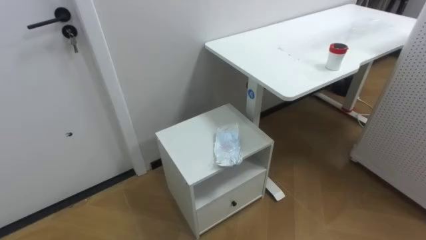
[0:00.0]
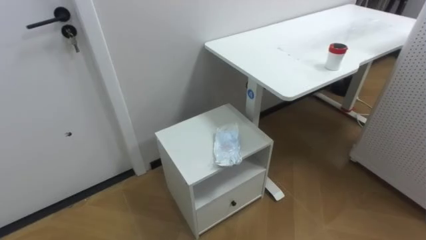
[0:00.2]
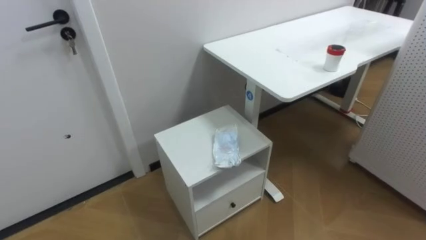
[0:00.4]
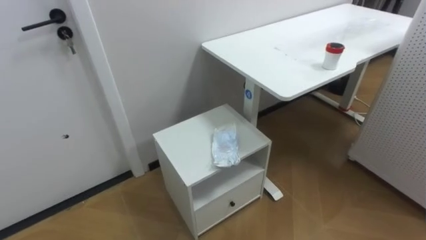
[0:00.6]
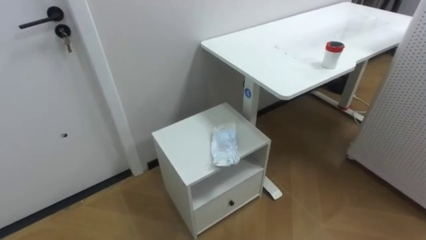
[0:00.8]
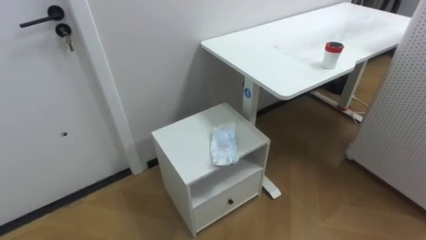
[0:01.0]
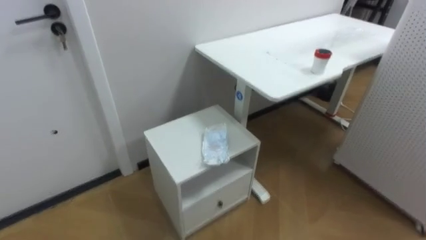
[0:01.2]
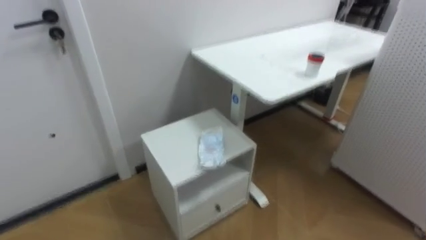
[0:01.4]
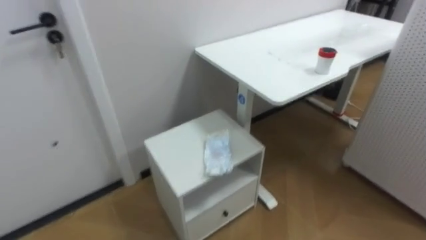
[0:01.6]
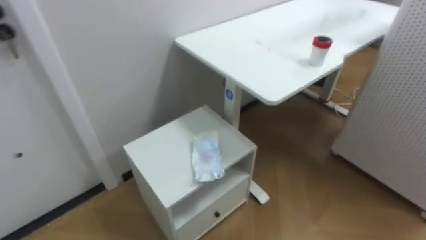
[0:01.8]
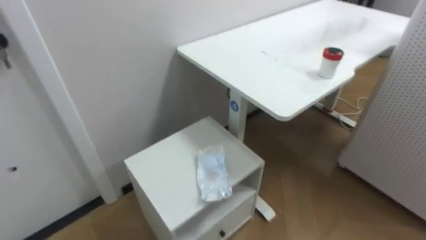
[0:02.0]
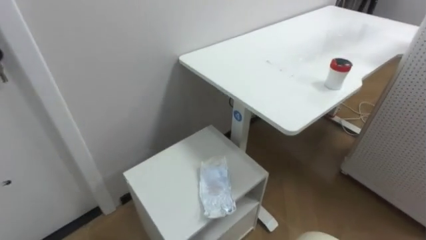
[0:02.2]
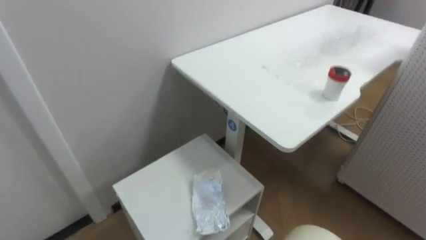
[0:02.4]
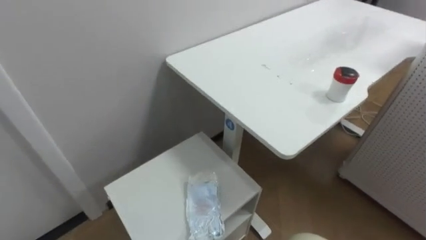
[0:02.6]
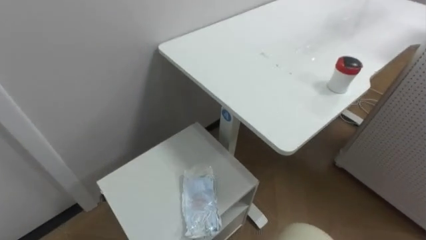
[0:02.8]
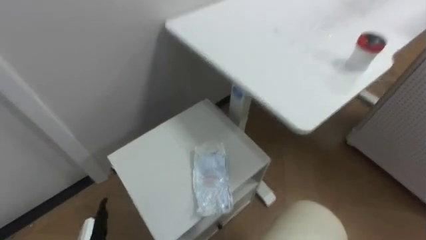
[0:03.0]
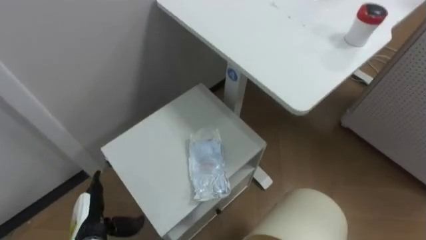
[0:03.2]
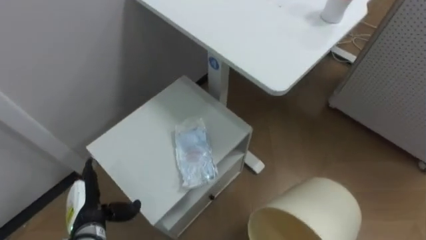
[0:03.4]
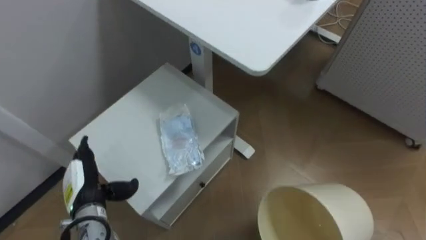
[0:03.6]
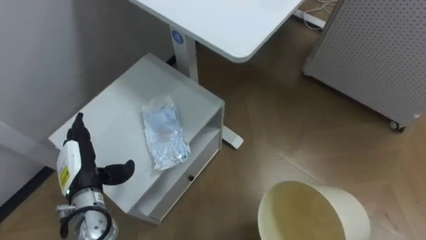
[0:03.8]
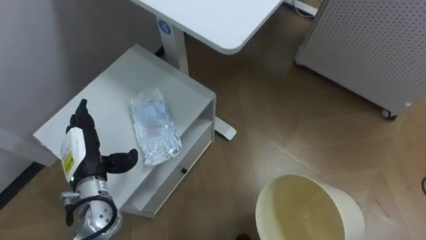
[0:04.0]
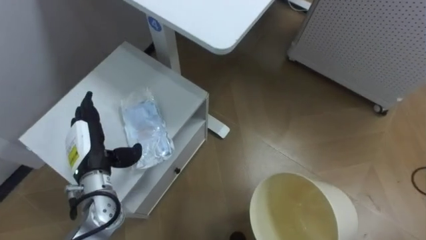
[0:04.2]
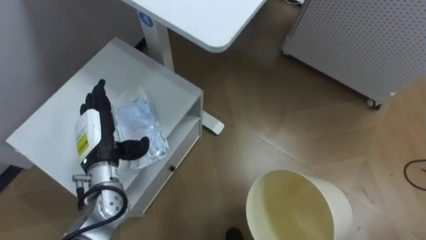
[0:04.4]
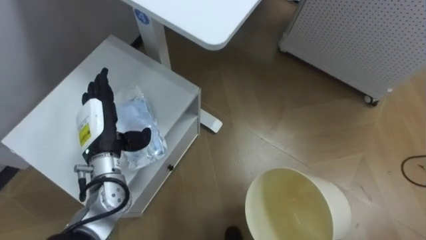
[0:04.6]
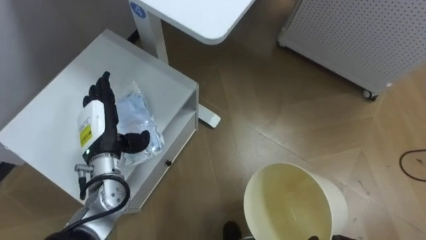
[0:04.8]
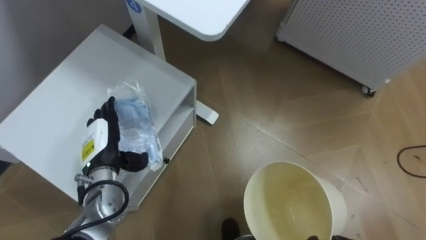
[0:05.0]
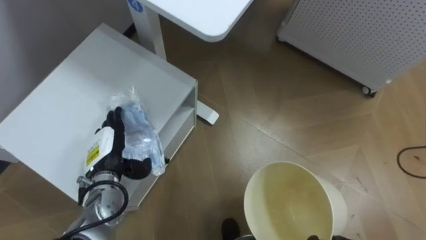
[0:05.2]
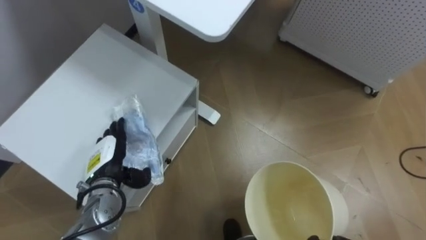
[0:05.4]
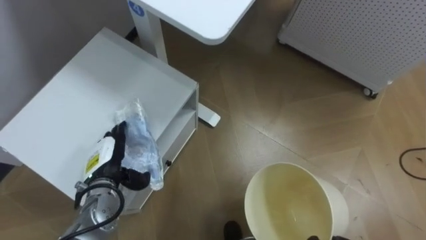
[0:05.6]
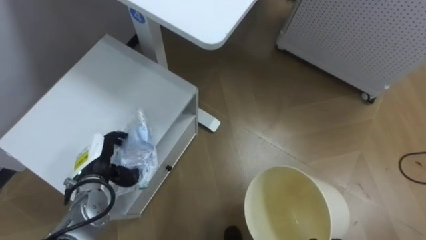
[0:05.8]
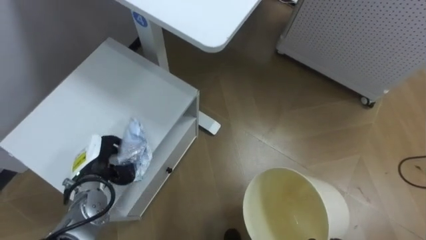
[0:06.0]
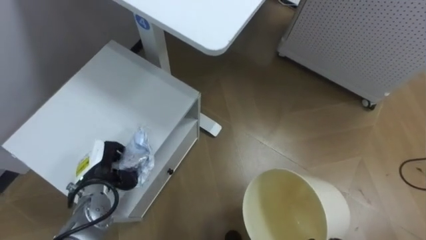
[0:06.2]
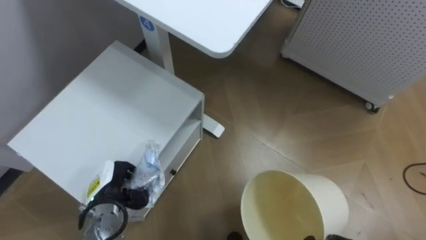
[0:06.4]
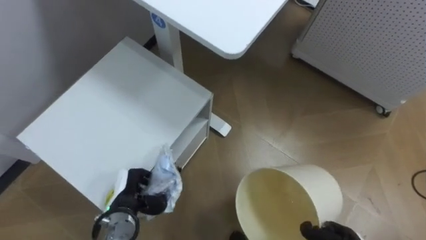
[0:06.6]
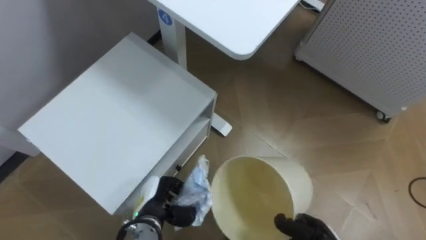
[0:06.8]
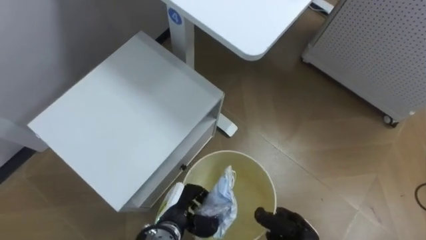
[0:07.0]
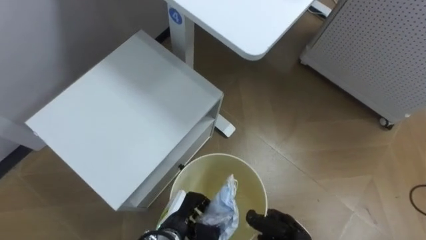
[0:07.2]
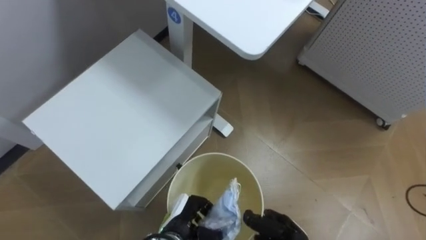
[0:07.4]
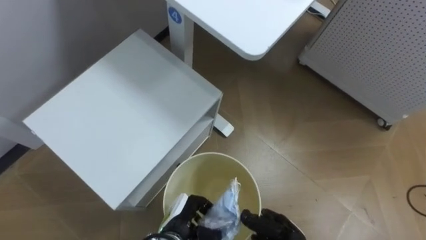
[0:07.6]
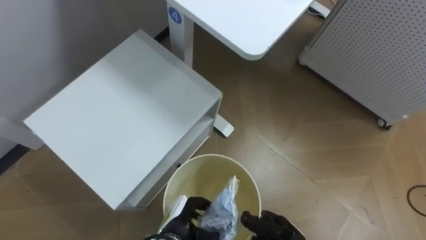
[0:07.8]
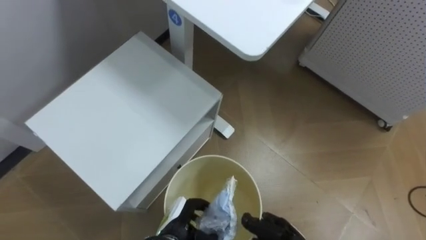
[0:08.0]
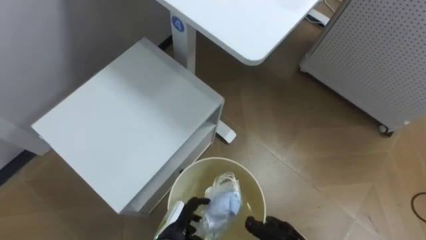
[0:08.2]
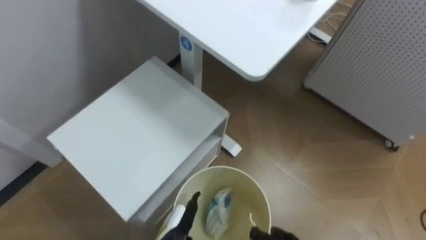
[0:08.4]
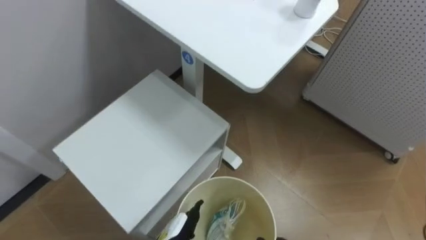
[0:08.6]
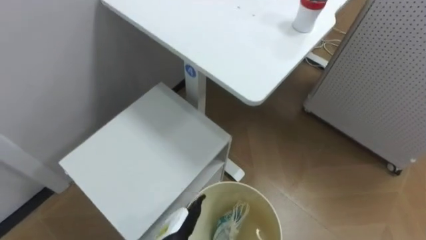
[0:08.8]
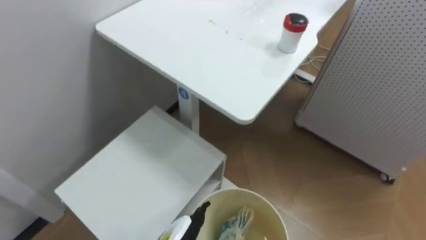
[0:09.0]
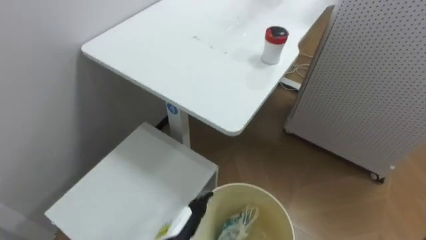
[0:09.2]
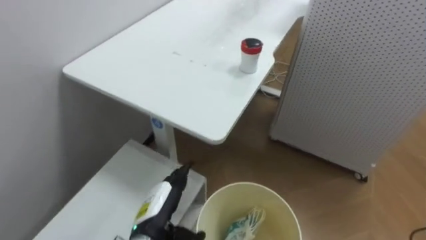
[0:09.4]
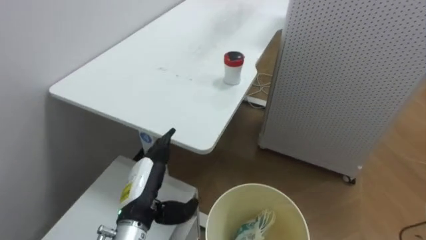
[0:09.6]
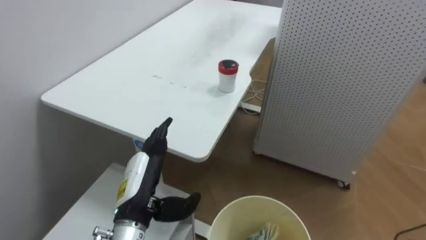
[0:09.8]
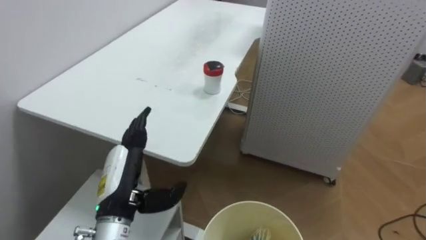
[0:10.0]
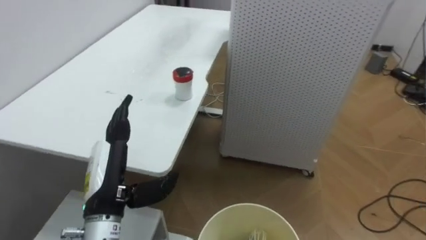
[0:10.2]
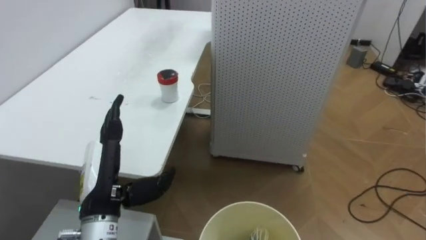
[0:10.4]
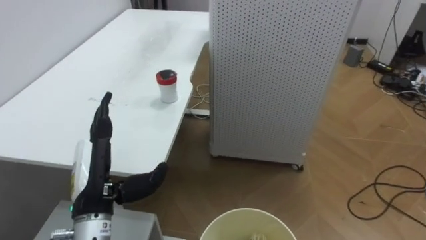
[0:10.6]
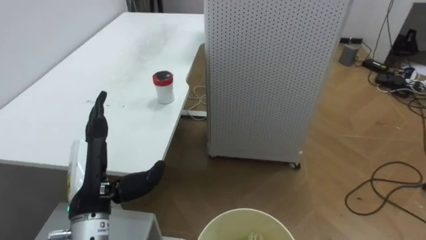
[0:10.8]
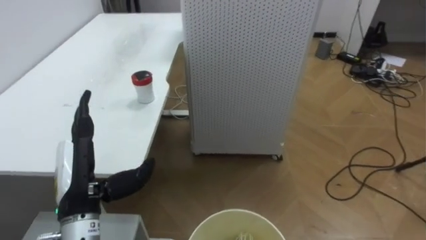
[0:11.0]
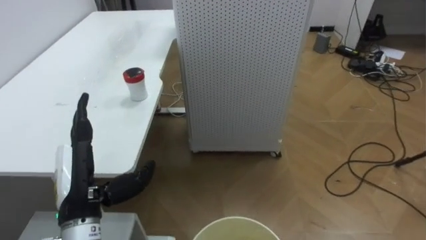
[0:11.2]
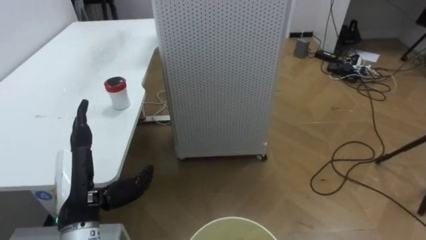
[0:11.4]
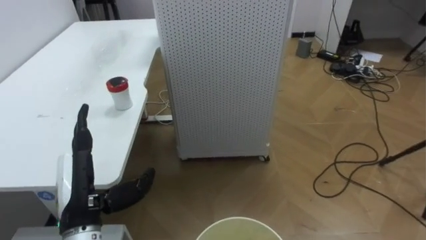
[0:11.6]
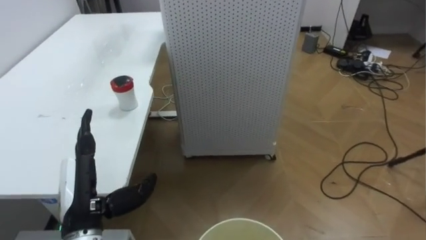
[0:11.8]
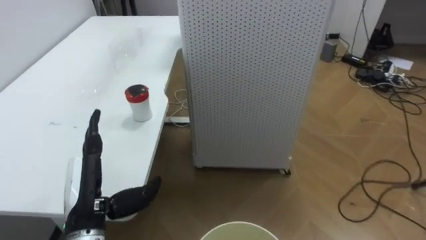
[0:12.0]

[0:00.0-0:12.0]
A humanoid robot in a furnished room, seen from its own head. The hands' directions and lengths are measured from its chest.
Task of the whole recording: Pick up the light blue package, the candy box, and the dark blue package separately, and put them into the trash can held in your right hand.
0:04.4 to 0:06.0: The left hand travels downward by approximately 5 cm, and closes up.
0:06.0 to 0:07.6: The left hand is displaced to the right, downward and backward by some 20 cm.
0:07.6 to 0:09.0: The left hand opens its fingers.
0:09.0 to 0:10.4: The robot turns to its right by about 30 degrees. The left hand heads upward and to the left, covering roughly 20 cm.

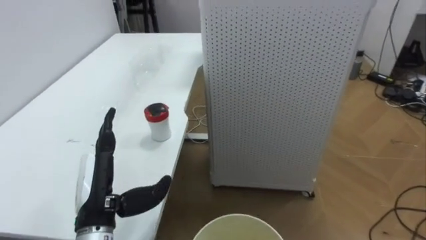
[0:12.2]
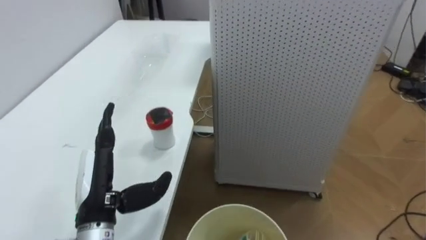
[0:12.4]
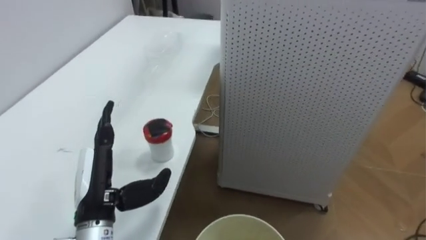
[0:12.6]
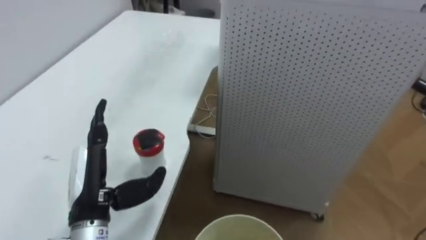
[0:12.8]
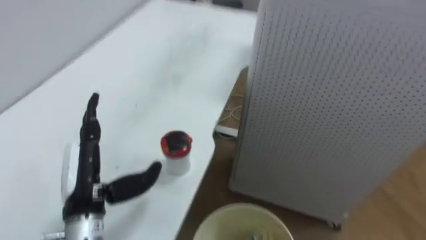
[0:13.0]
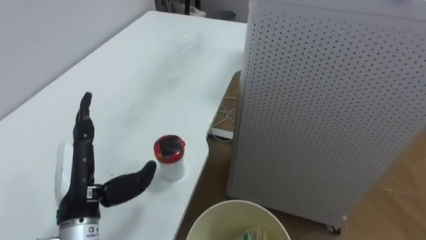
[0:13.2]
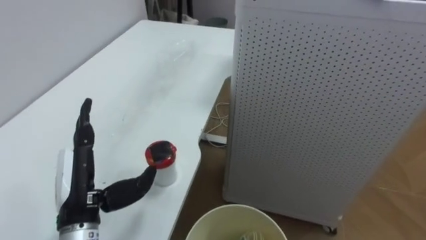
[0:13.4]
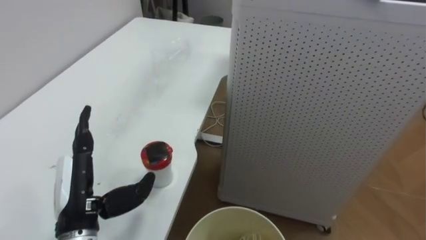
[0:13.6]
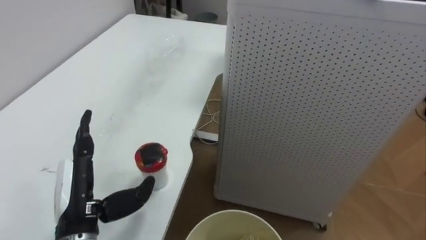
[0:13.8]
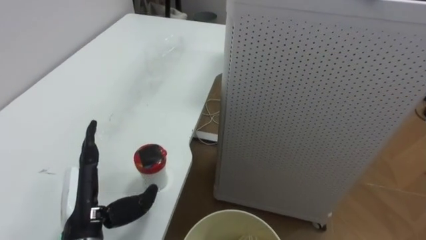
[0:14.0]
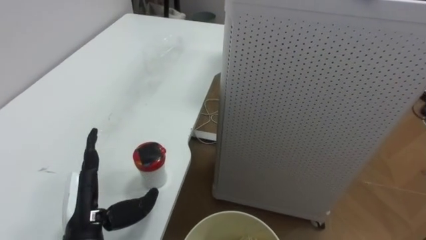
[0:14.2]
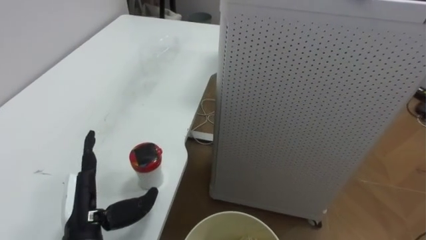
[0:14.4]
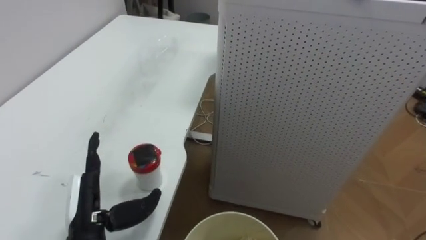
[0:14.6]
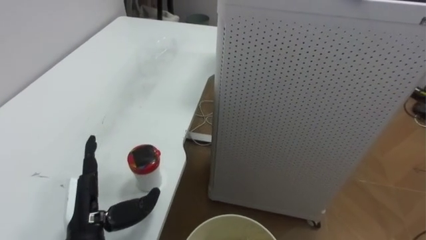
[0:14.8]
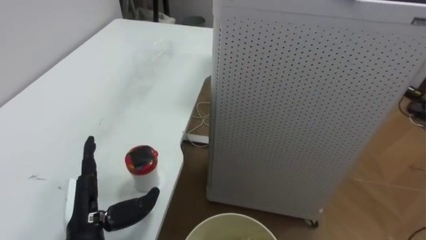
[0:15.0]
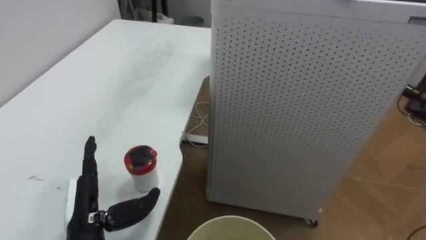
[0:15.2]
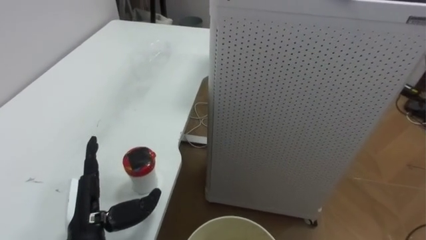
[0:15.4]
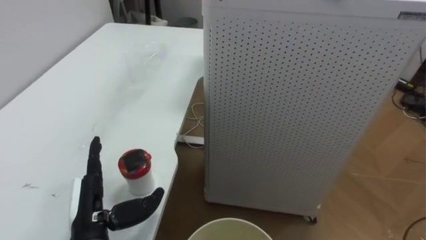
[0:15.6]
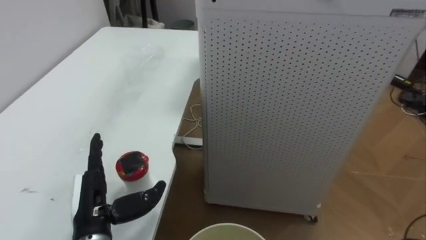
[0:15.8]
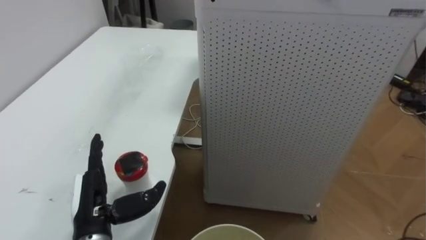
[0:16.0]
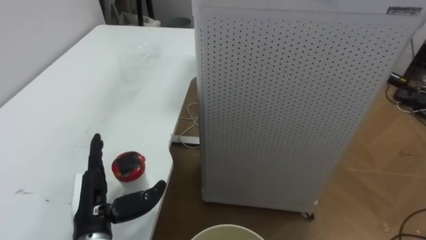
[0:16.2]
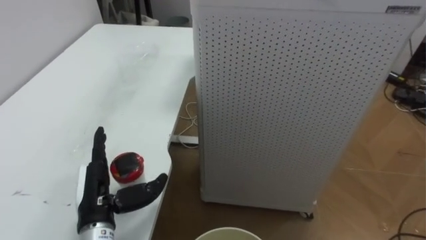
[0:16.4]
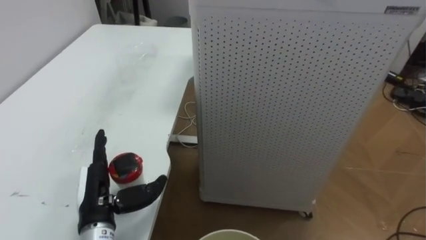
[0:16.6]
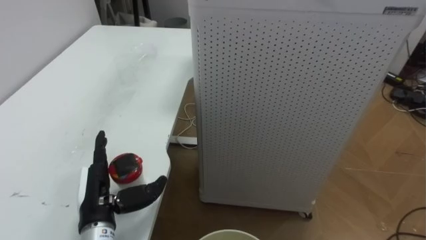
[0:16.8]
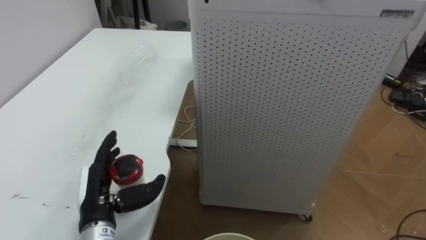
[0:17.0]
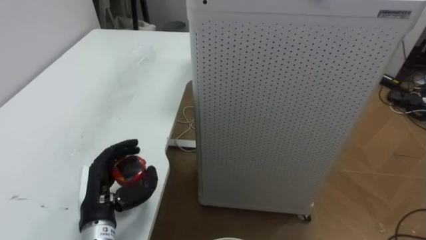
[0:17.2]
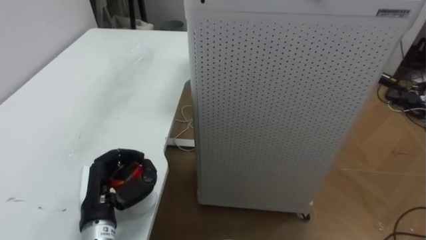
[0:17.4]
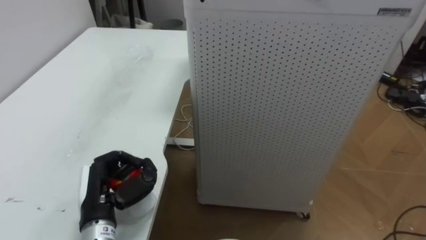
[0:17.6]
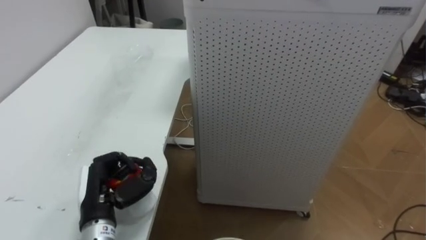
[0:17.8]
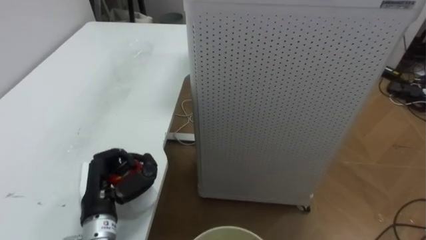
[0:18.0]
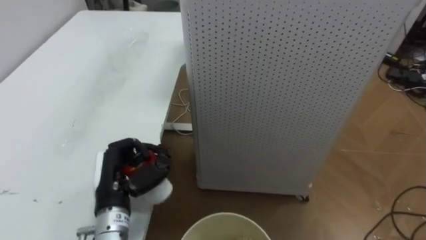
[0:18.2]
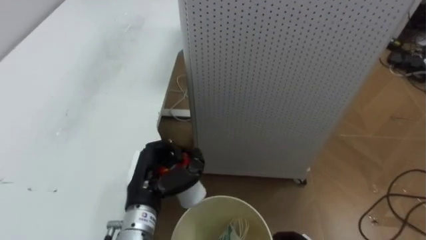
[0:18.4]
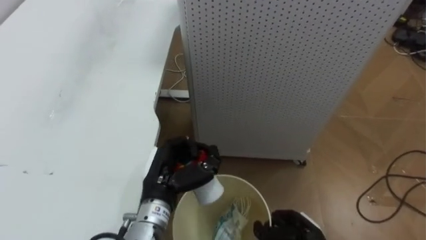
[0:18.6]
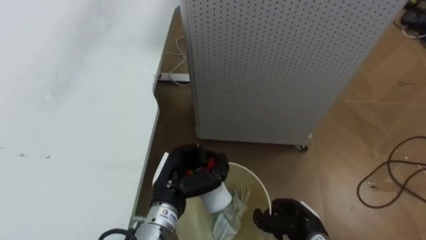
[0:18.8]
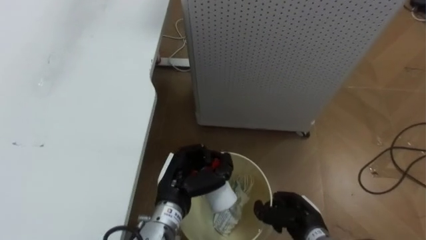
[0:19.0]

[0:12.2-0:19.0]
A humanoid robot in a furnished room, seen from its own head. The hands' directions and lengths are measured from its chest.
Task of the whole recording: Pick up the light blue package, the candy box, and the dark blue package separately, and put them into the trash can held in your right hand.
0:13.6 to 0:15.0: The left hand heads downward, covering approximately 5 cm.
0:16.2 to 0:17.6: The left hand closes.
0:17.6 to 0:19.0: The left hand travels to the right by about 15 cm.
